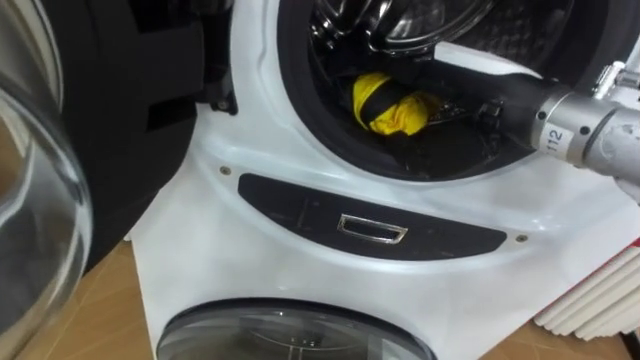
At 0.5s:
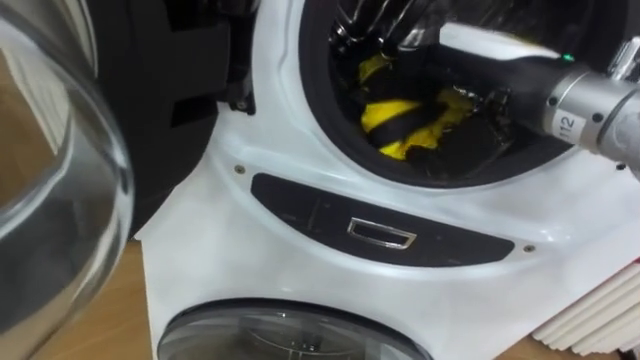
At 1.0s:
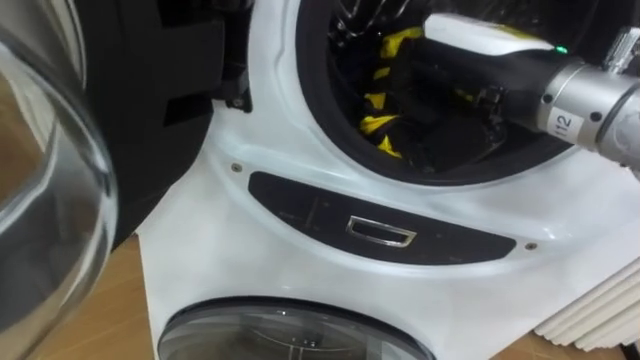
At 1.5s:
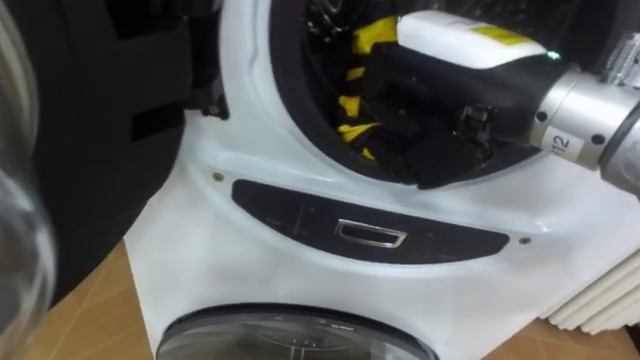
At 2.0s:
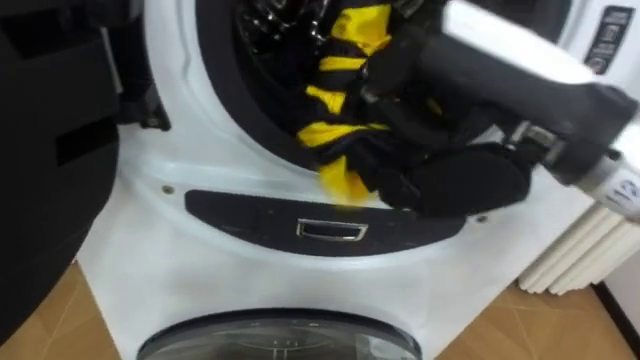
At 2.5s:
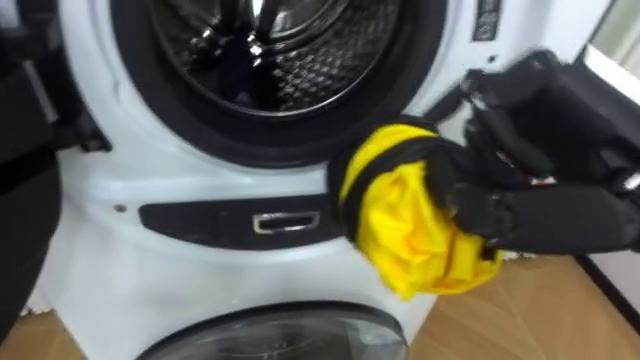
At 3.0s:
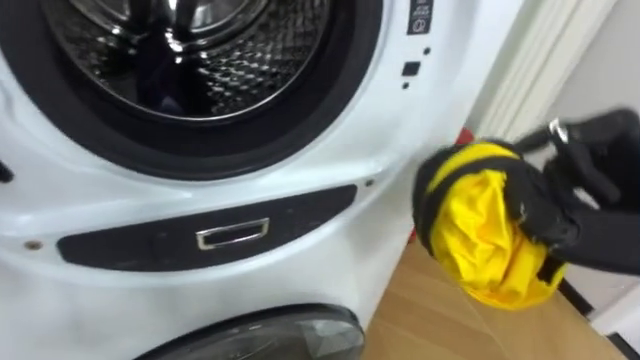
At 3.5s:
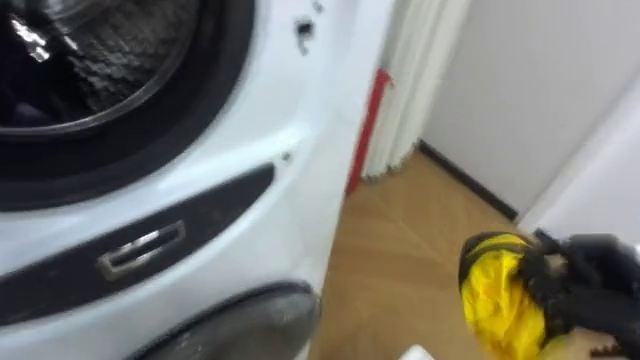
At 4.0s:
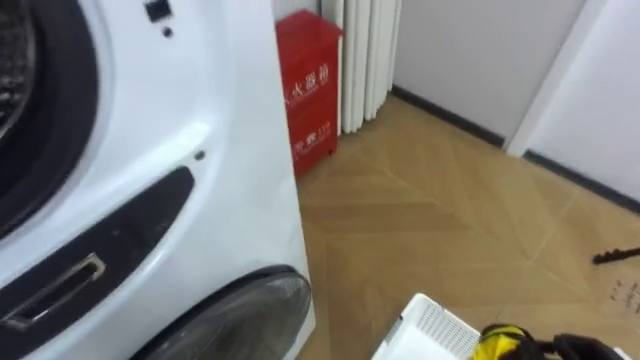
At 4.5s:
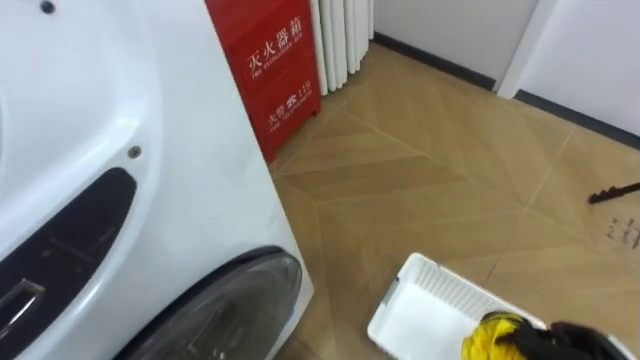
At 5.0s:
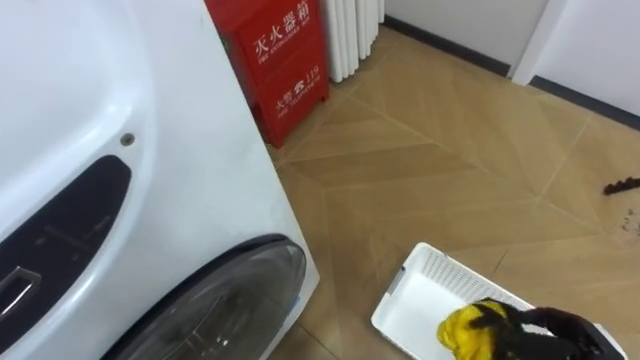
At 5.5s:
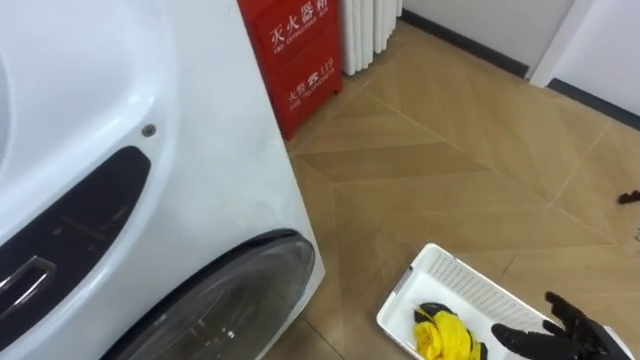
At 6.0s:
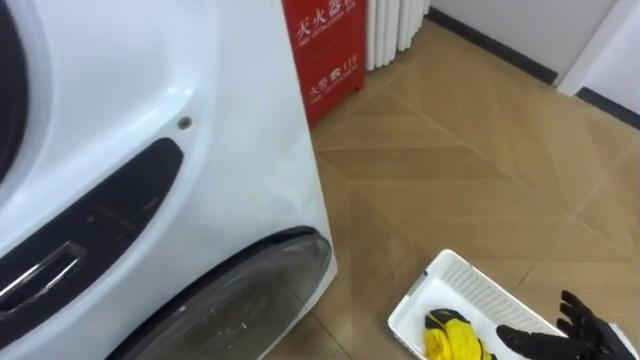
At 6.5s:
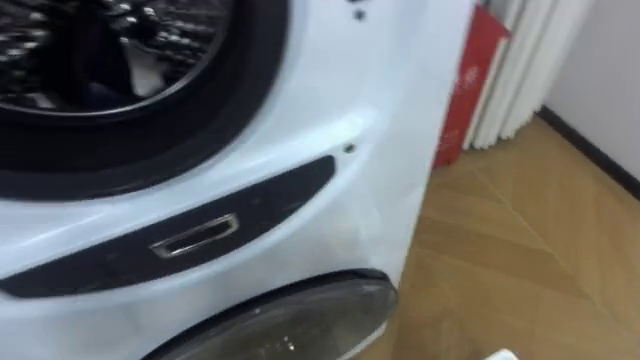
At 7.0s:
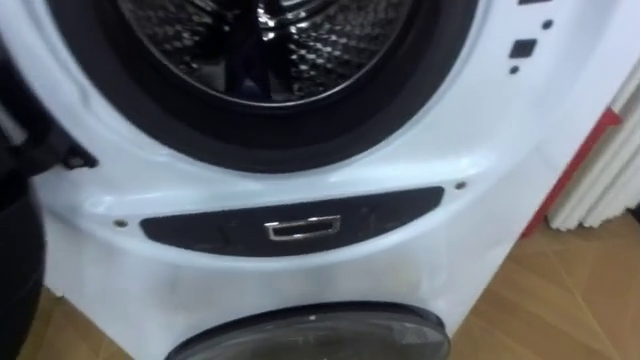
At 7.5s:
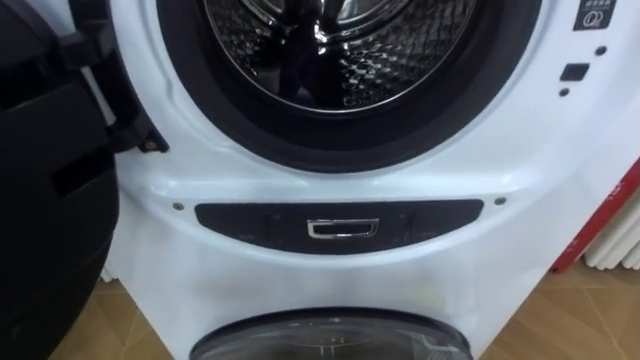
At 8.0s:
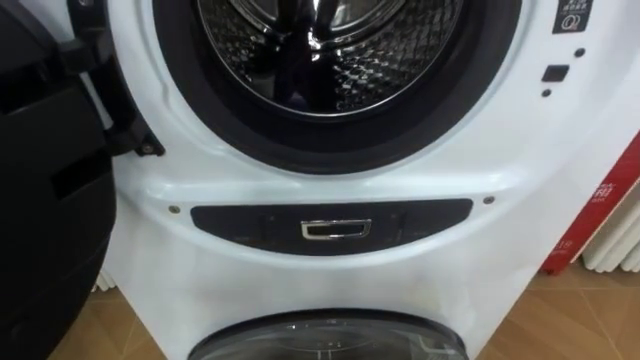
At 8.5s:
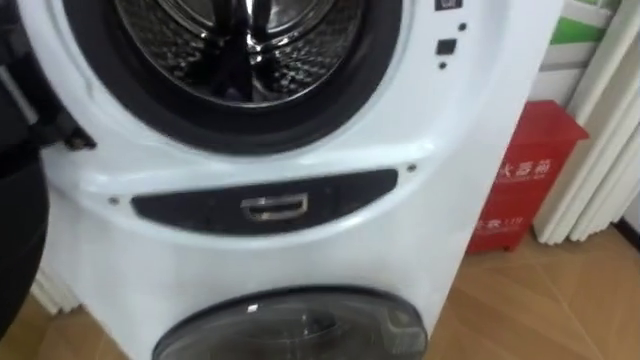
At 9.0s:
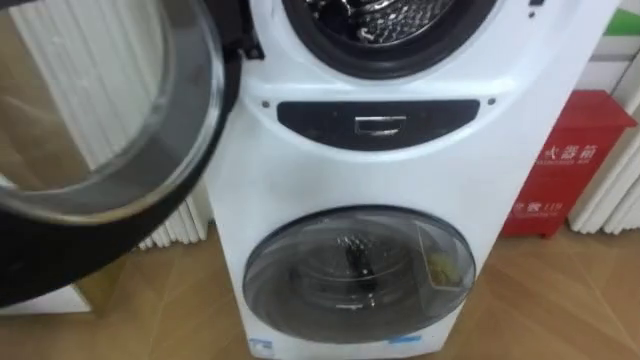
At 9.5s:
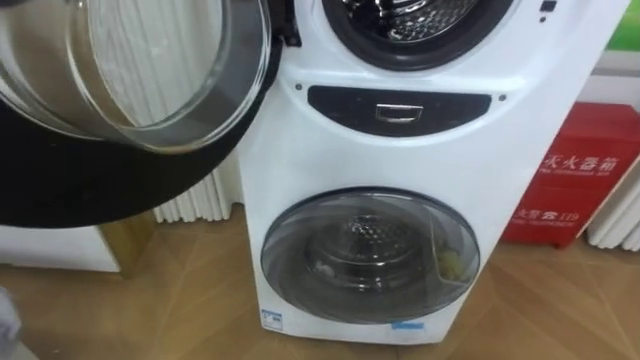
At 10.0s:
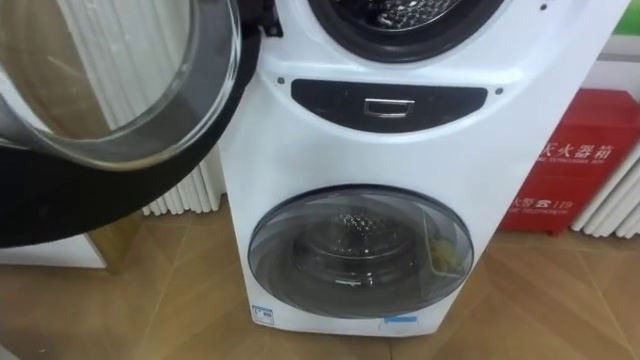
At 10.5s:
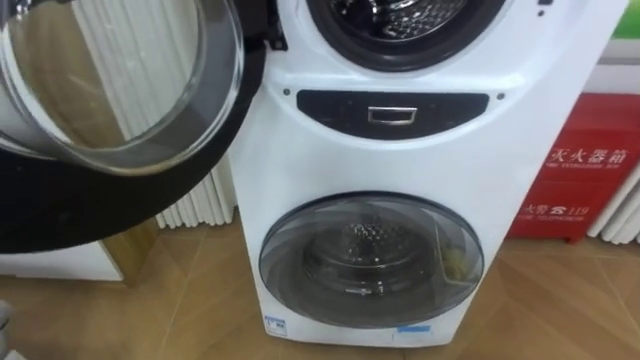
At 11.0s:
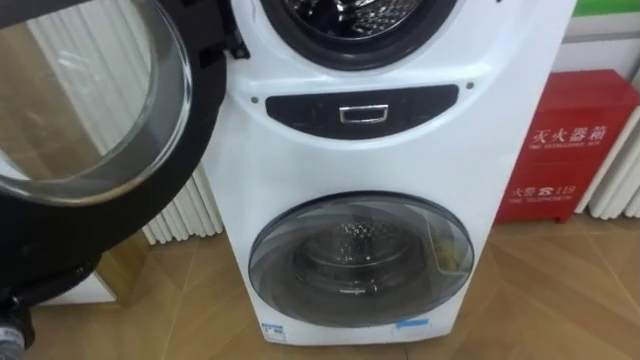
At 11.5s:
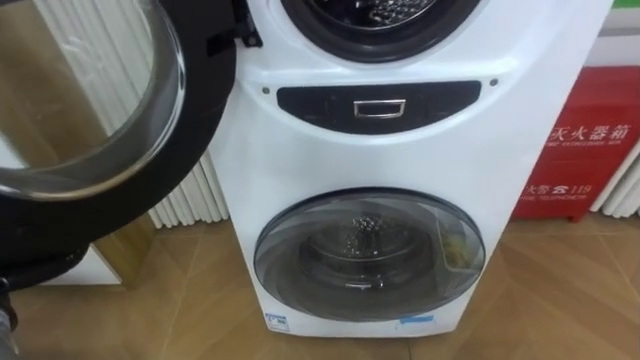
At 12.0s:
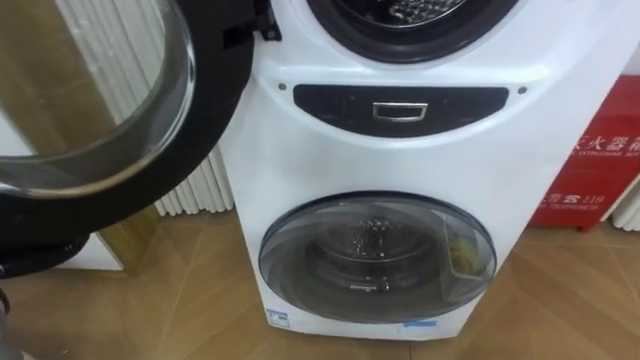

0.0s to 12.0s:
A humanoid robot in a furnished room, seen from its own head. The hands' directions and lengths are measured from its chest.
Task of the whole recording: Open the washing machine door, take out the yellow clothes, place them in the box on the right, and close the washing machine door.
0.0s to 2.0s: The right hand moves backward and upward, approximately 10 cm, and closes its fingers.

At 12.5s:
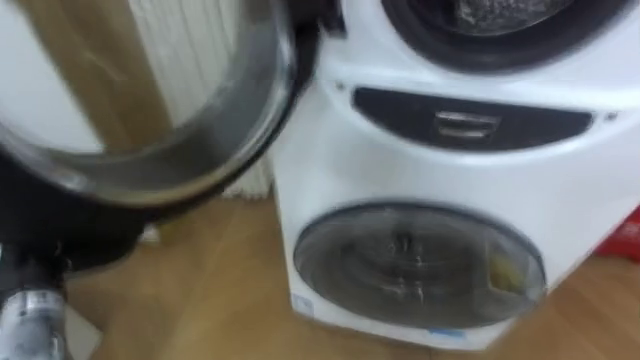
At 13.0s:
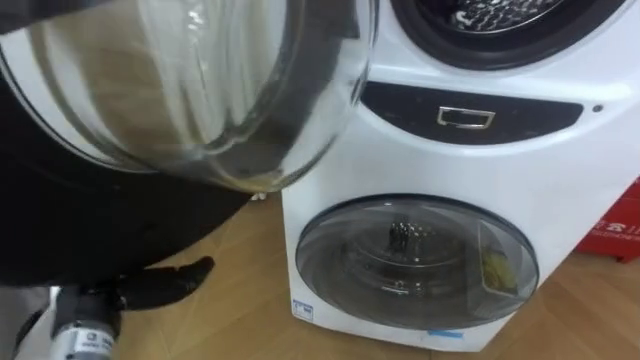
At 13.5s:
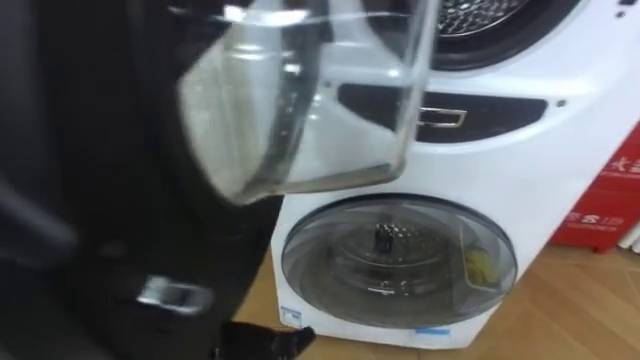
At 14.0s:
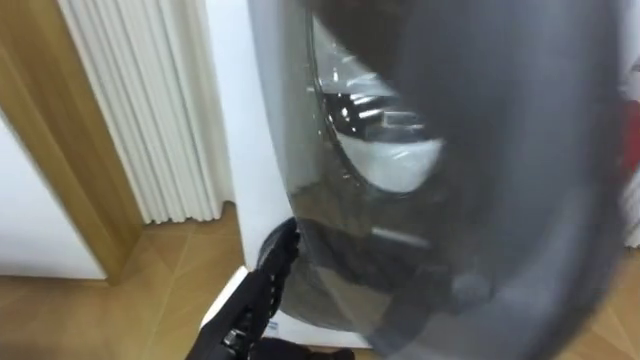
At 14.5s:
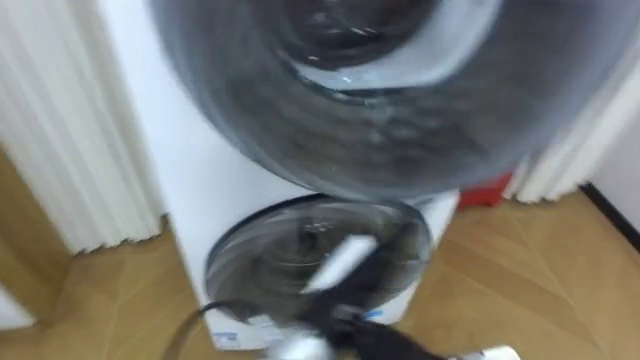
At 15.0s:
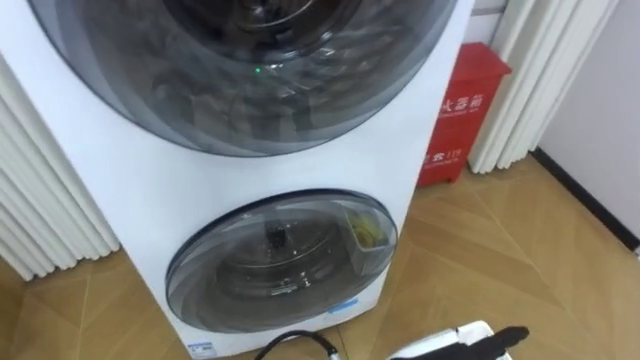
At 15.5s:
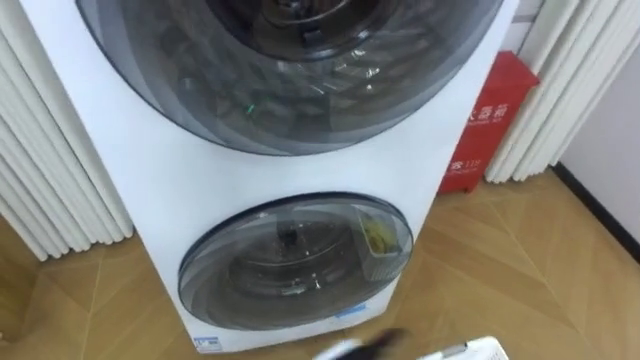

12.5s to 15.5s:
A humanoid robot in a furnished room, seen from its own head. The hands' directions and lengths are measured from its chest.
Task of the whole recording: Open the washing machine door, take out the yellow clothes, place them in the box on the right, and close the washing machine door.
12.5s to 14.0s: The left hand goes about 25 cm to the right.

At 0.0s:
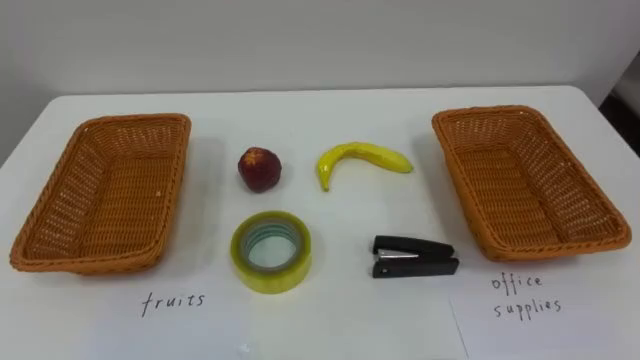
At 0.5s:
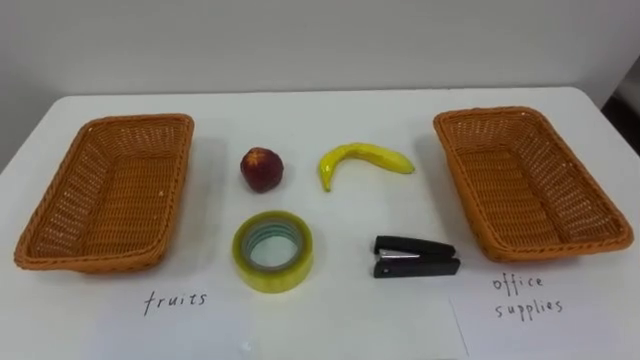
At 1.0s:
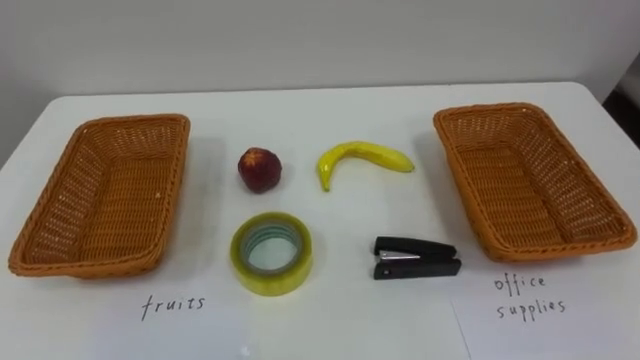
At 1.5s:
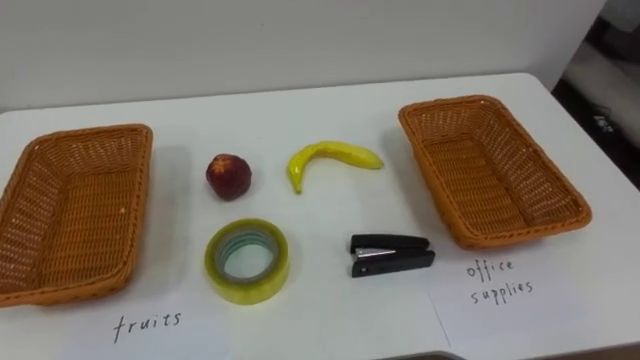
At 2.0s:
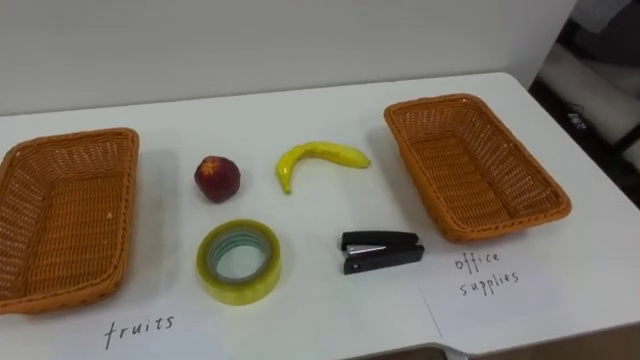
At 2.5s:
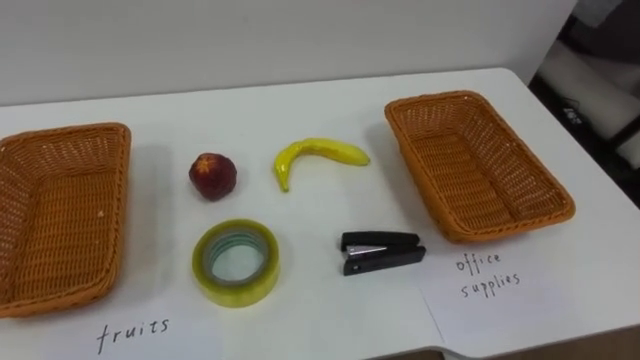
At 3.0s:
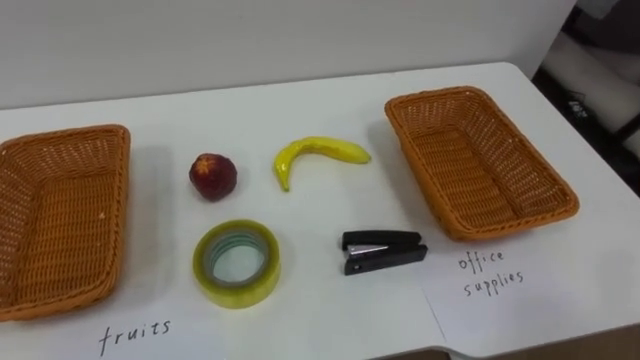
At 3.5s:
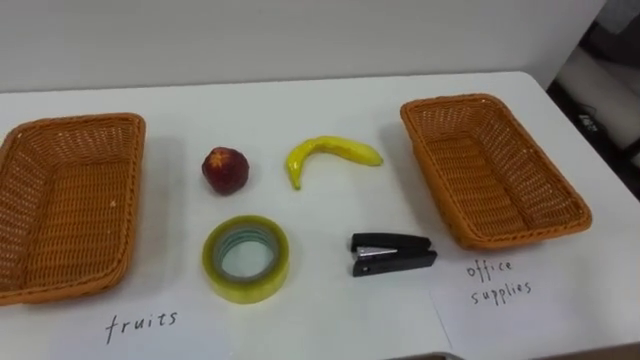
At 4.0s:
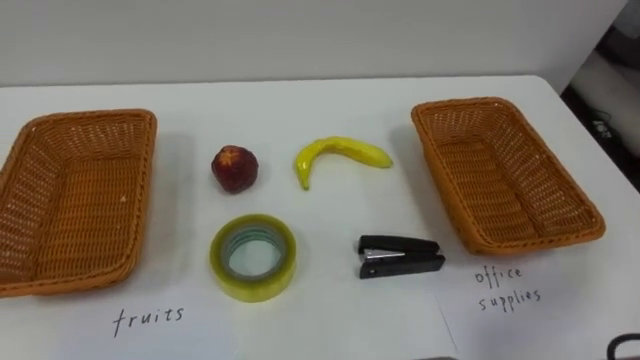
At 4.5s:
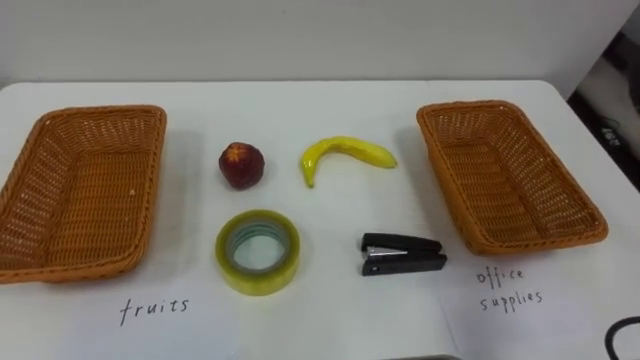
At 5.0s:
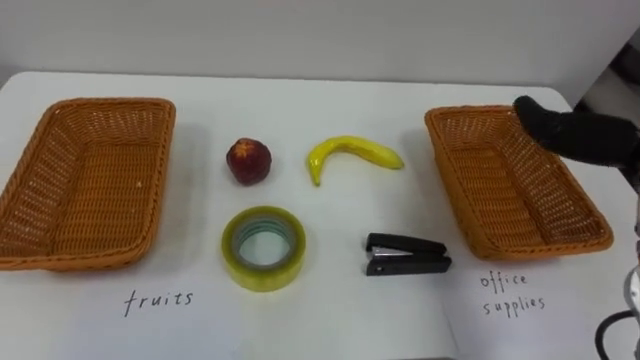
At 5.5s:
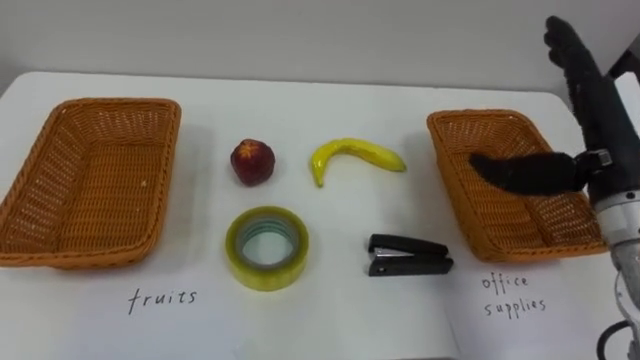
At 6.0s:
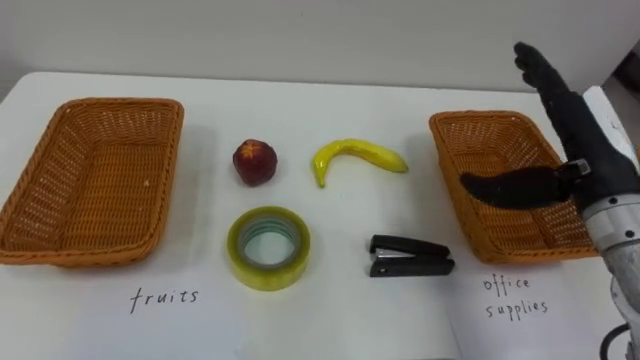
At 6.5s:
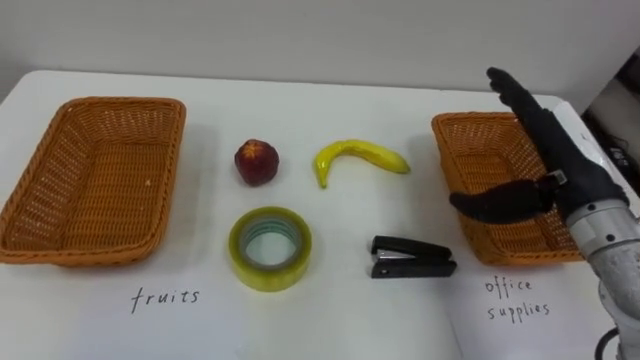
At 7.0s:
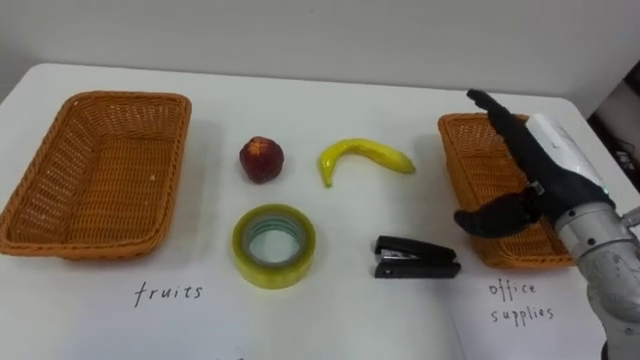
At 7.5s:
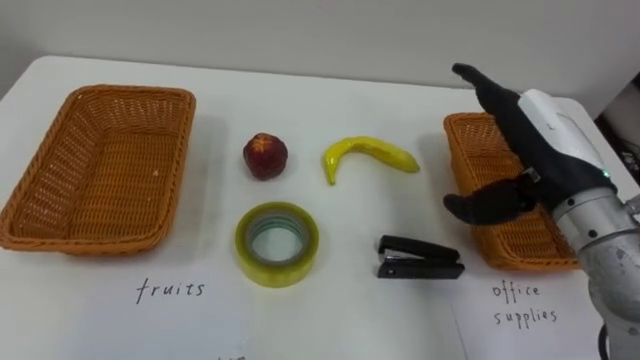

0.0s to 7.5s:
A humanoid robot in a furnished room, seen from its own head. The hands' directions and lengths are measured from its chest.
Task of the whole recording: Separate the items on the table and place them into the two baskets.
5.5s to 7.5s: The right hand shifts by roughly 5 cm.
